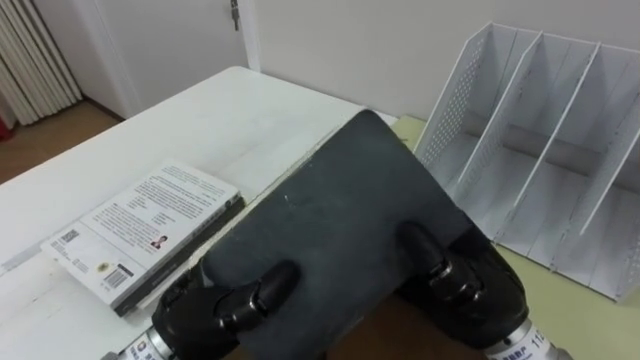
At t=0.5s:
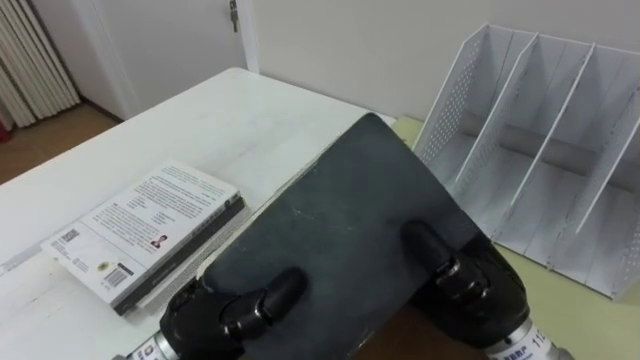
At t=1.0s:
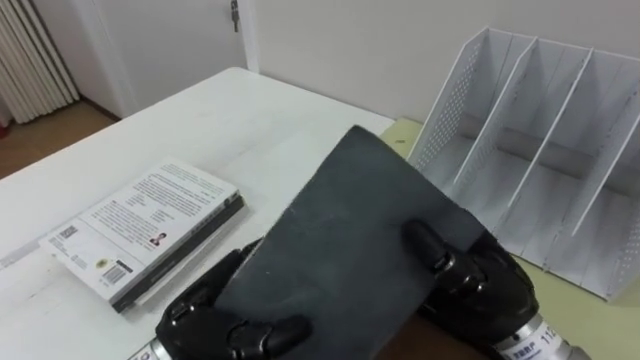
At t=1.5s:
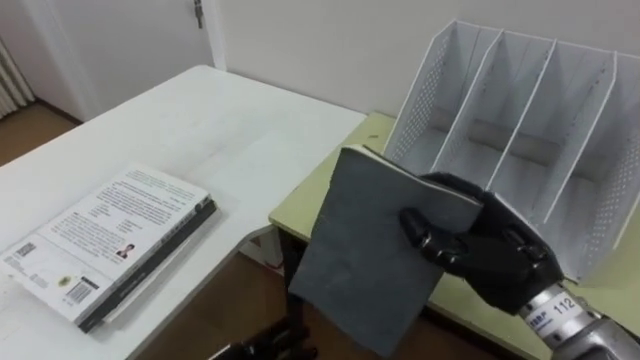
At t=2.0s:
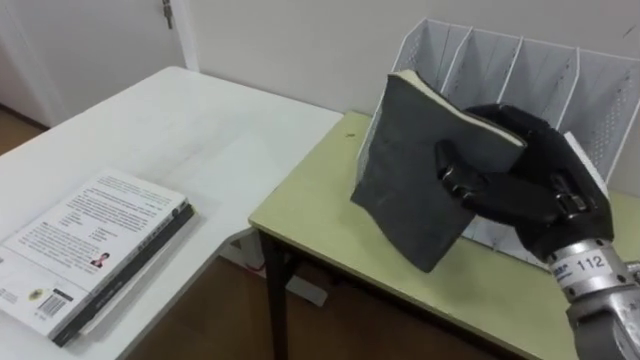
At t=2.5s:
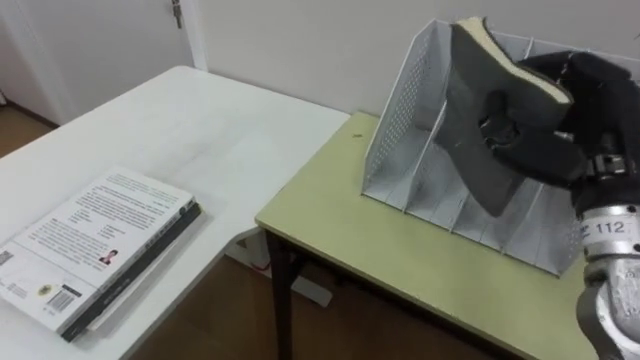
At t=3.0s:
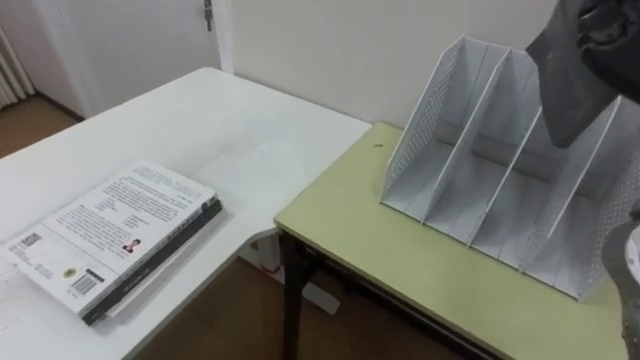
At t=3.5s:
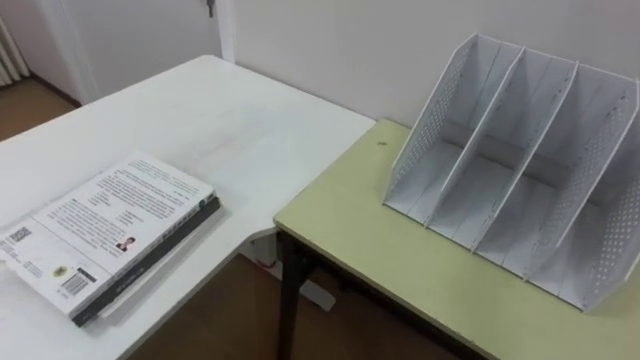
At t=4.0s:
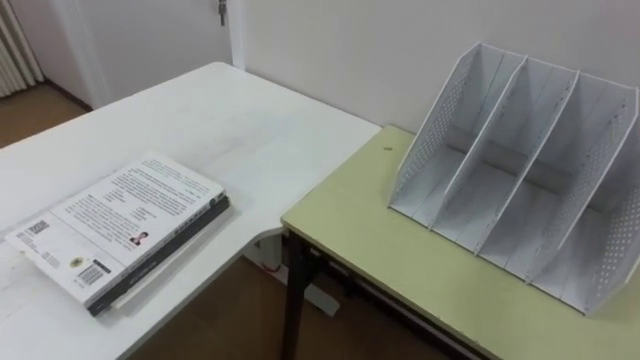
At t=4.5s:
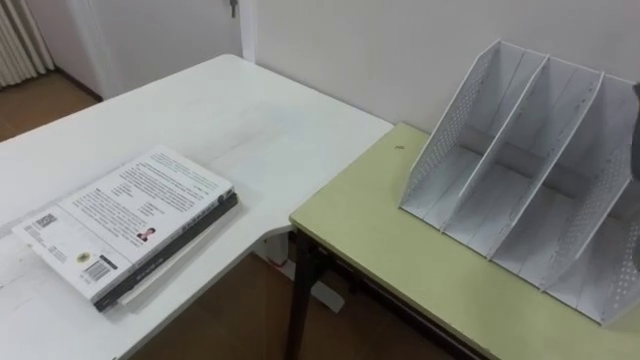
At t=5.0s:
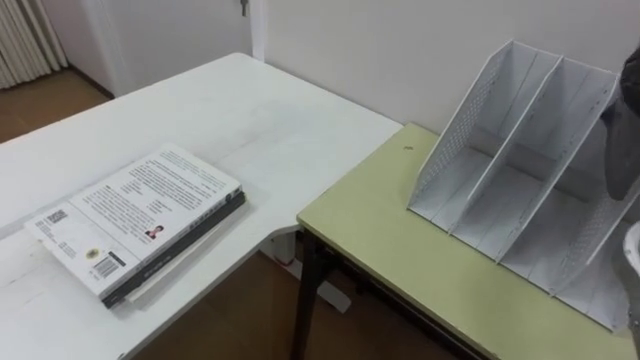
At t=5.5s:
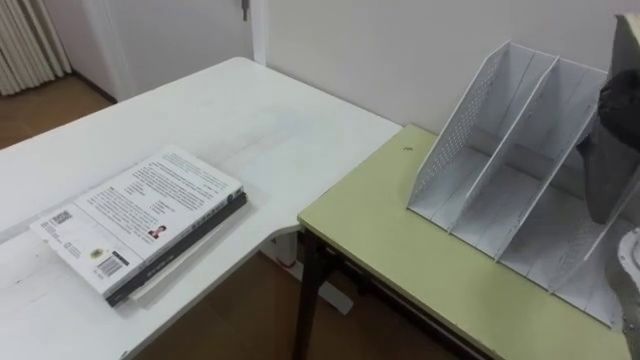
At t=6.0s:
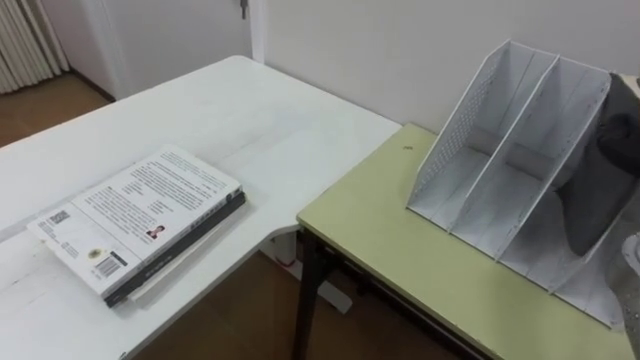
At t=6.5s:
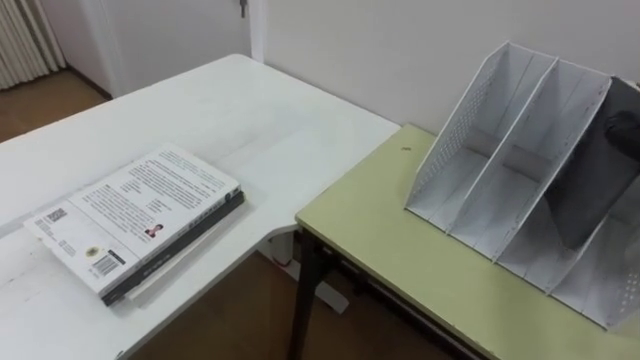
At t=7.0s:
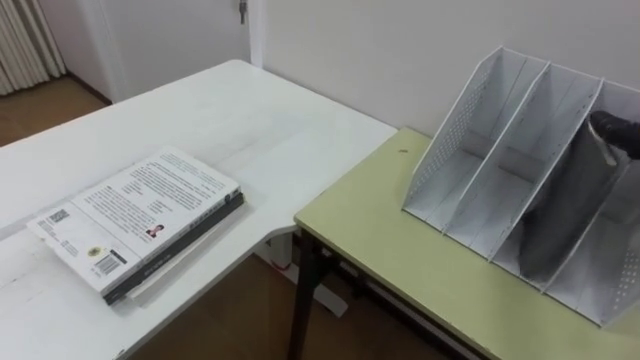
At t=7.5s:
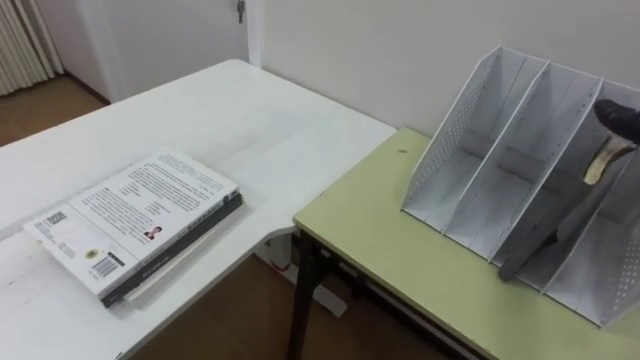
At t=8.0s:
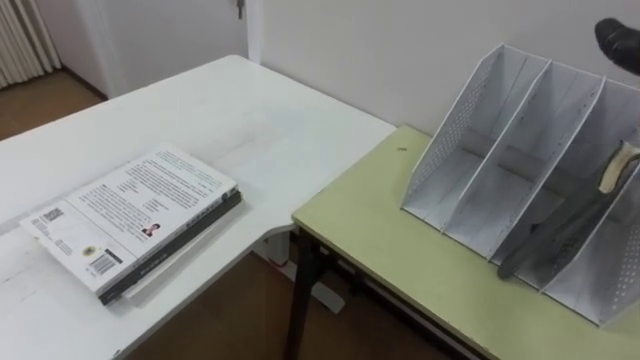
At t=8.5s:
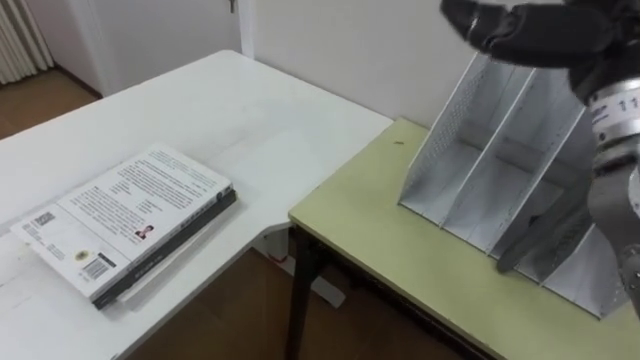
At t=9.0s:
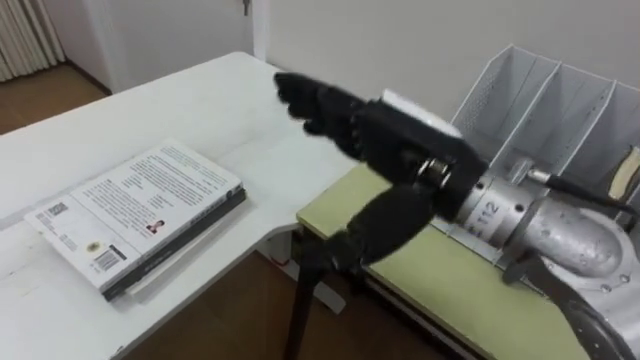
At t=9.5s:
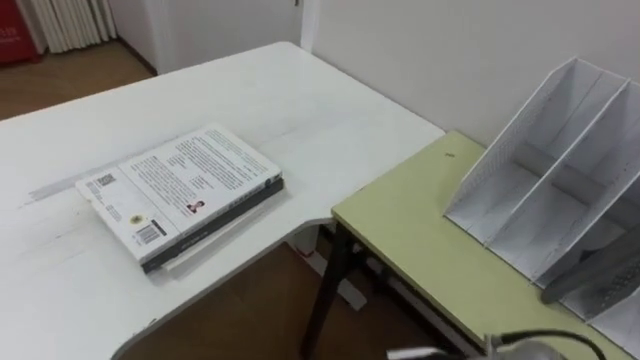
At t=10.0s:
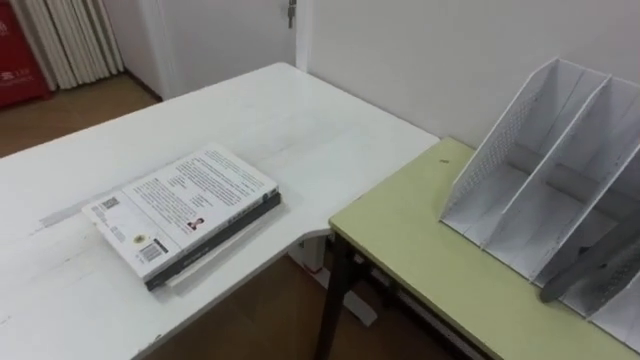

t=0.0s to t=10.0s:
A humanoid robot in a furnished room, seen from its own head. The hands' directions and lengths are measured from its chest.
Task of the whole recording: Put the books on the table onto the bookshelf.
t=0.0s to t=2.0s: The right hand shifts roughly 10 cm to the right and forward.

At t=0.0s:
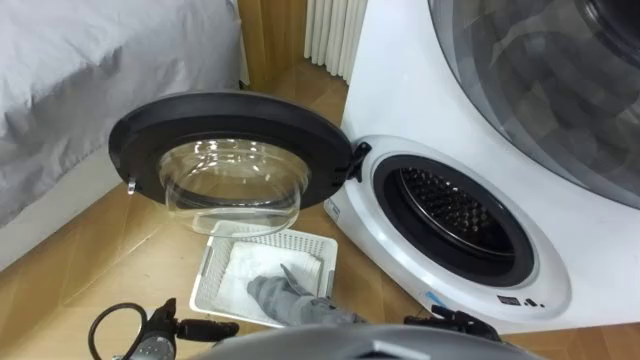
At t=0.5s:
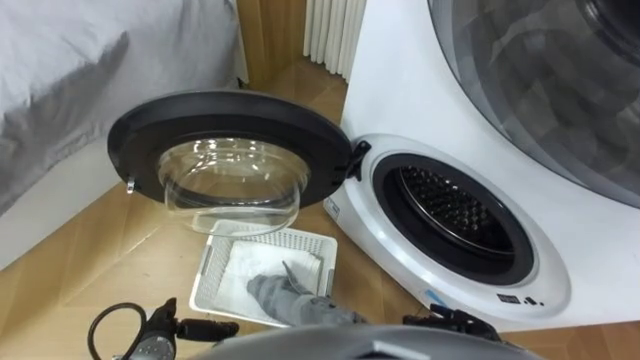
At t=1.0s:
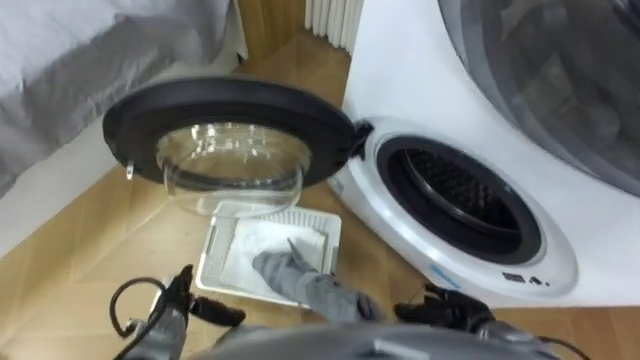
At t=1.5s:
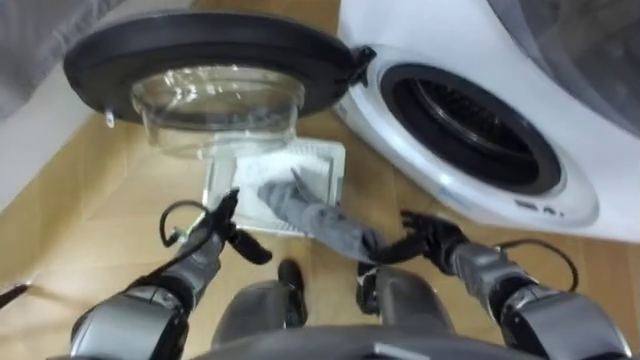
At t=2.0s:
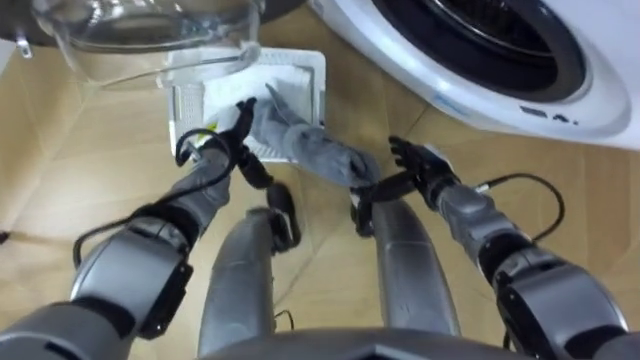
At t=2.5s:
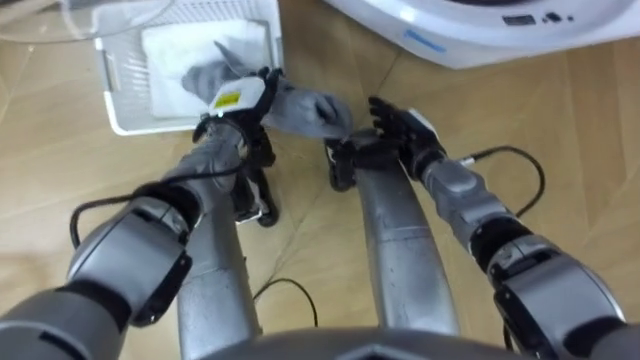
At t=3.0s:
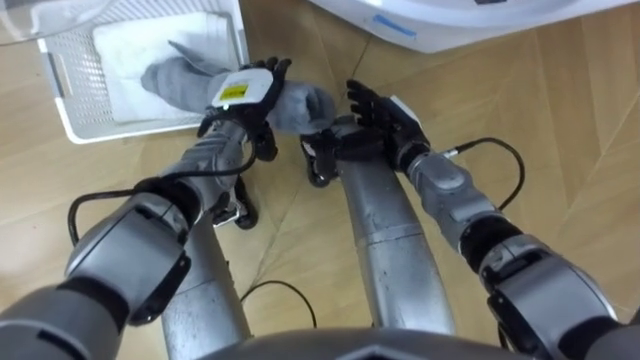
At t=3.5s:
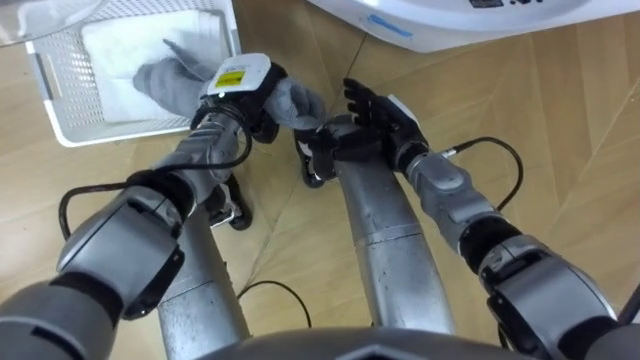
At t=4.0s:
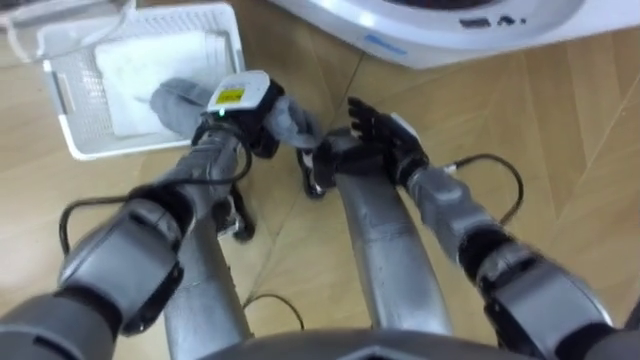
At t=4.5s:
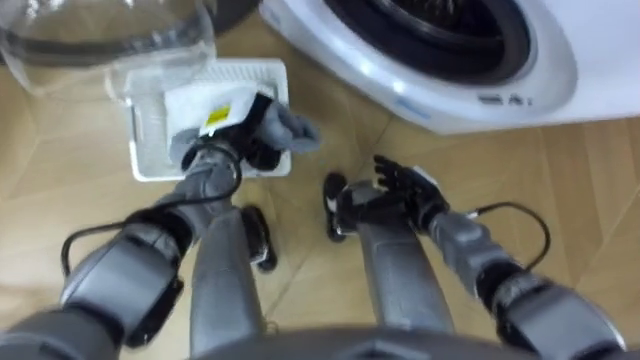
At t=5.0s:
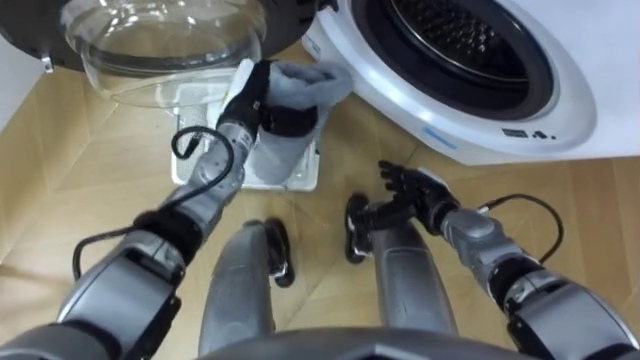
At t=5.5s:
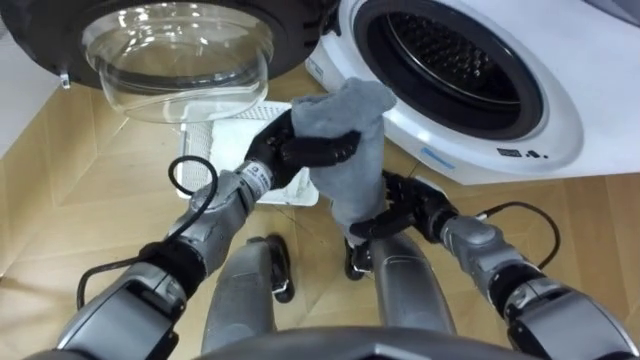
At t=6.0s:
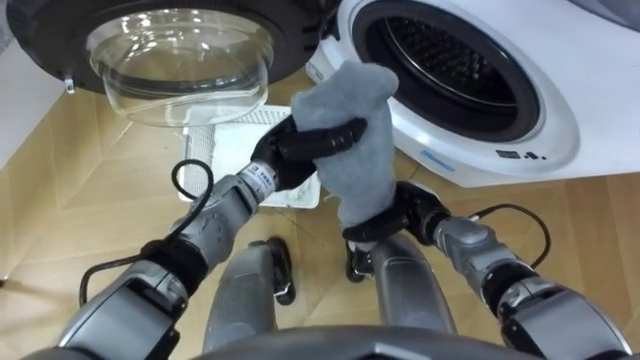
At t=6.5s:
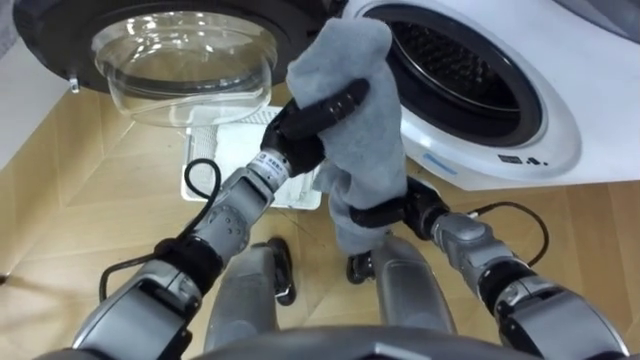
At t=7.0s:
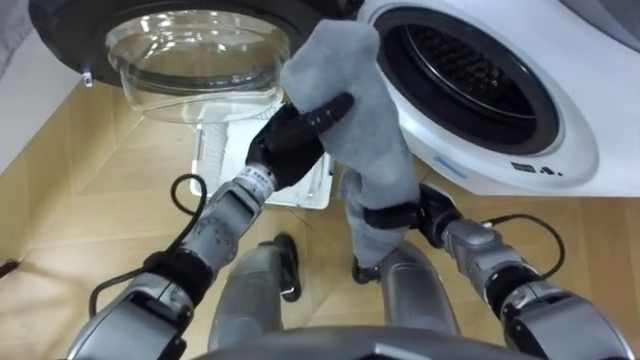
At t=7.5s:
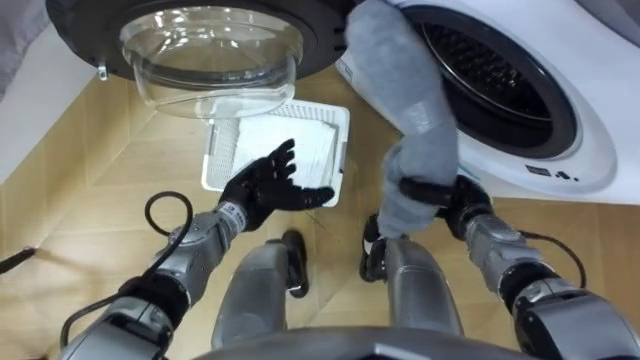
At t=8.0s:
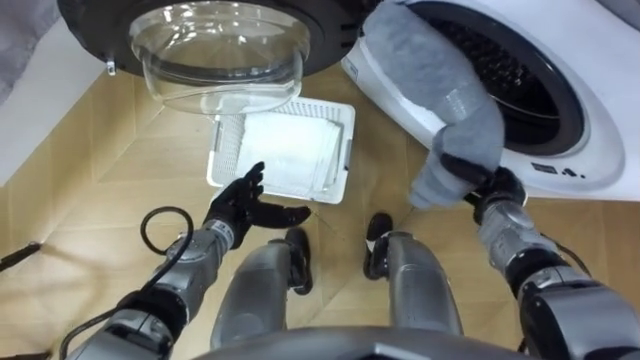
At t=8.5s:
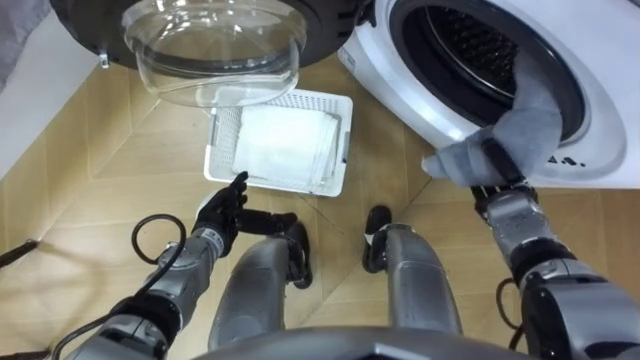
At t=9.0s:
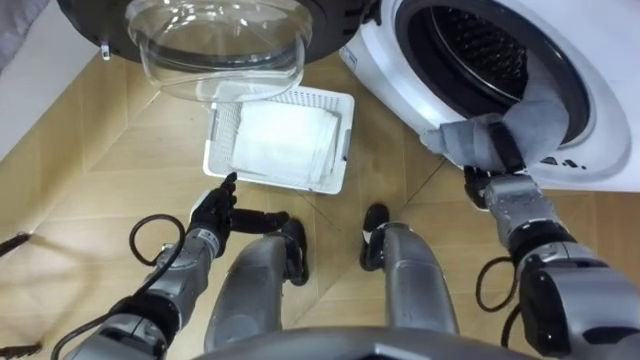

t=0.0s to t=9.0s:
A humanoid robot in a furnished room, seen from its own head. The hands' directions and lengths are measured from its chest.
Task of the whole recording: Take the towel from the basket and put it into the washing machine.
t=2.0s to t=4.5s: The right hand travels upward and back again, about 5 cm each way. The left hand closes up.
t=4.5s to t=7.0s: The left hand moves to the right, approximately 10 cm. The right hand closes up.
t=7.0s to t=9.0s: The left hand shifts roughly 20 cm downward, to the left and backward, and opens its fingers. The right hand heads to the right, covering about 10 cm.

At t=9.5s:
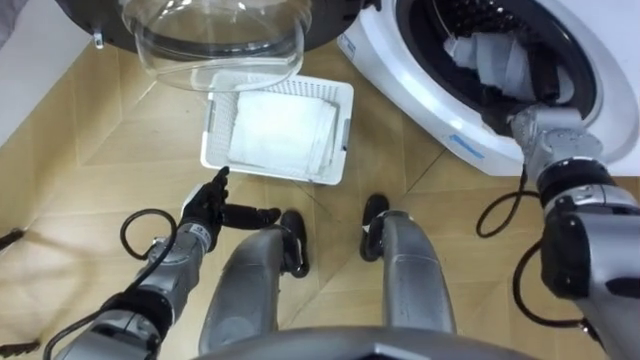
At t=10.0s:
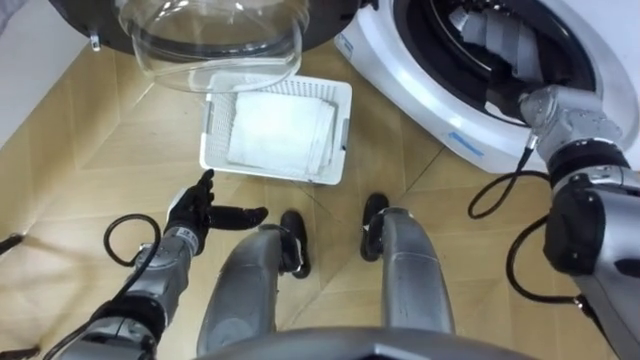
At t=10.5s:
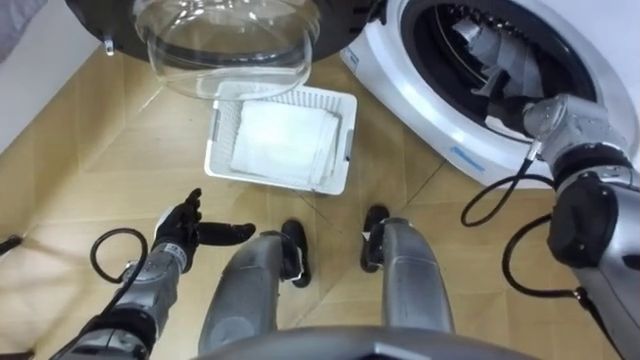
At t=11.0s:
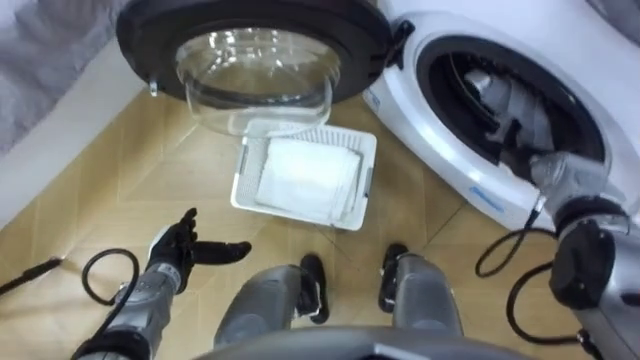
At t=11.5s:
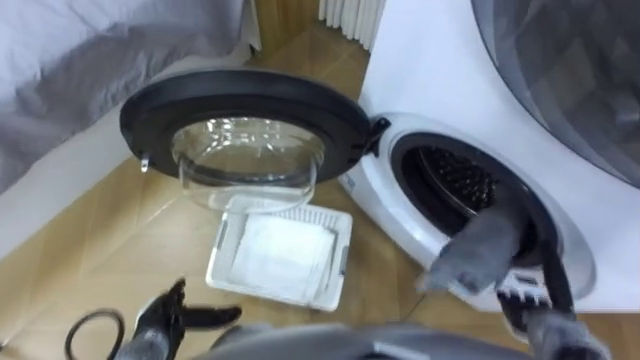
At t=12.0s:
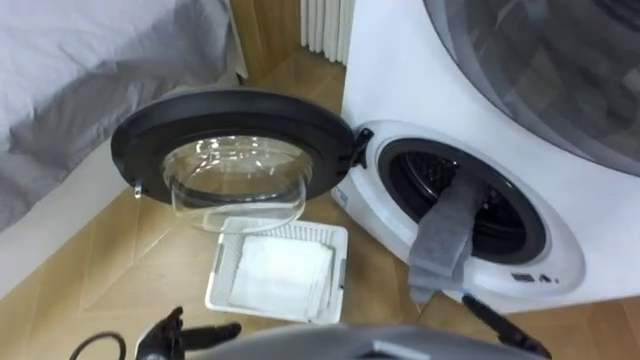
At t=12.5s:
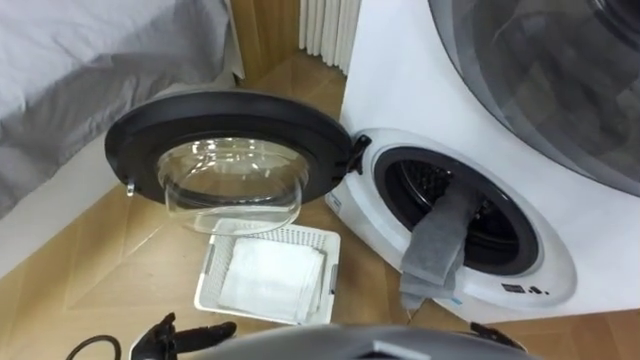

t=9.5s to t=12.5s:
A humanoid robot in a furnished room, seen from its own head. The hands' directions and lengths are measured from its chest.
Task of the whole recording: Take the towel from the basket and put it into the washing machine.
t=9.5s to t=11.0s: The hands both shift backward by approximately 5 cm. The right hand opens its fingers.
t=11.0s to t=12.5s: The left hand heads backward, covering some 15 cm.
